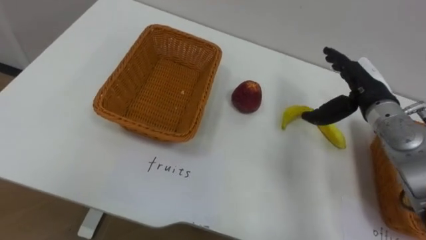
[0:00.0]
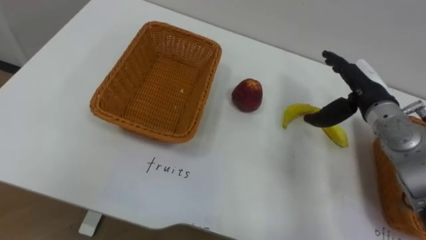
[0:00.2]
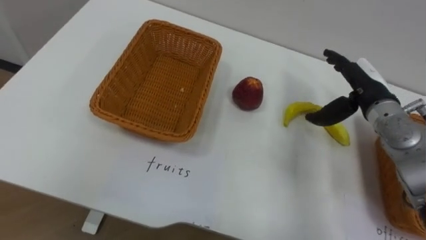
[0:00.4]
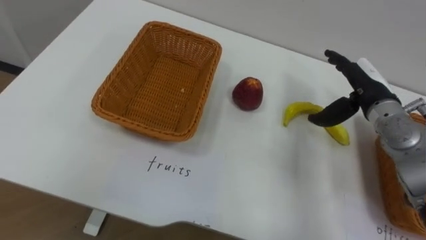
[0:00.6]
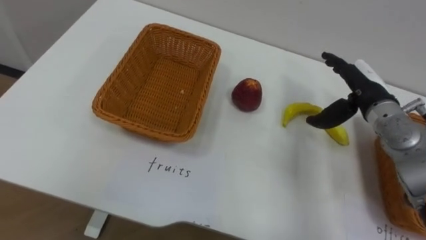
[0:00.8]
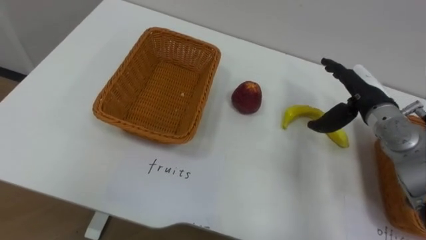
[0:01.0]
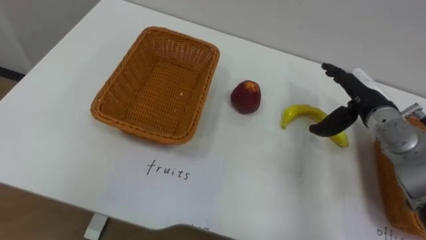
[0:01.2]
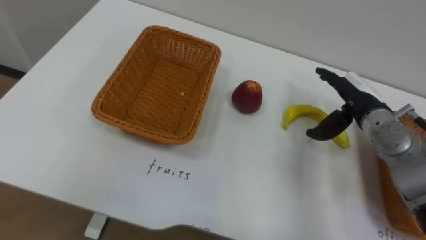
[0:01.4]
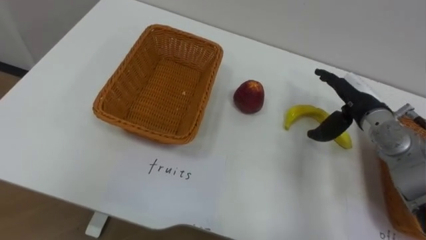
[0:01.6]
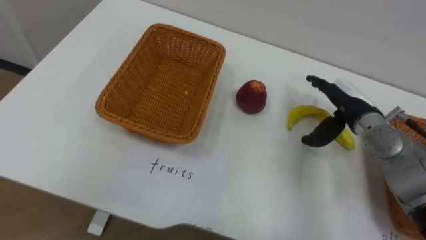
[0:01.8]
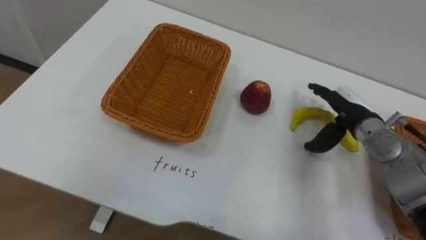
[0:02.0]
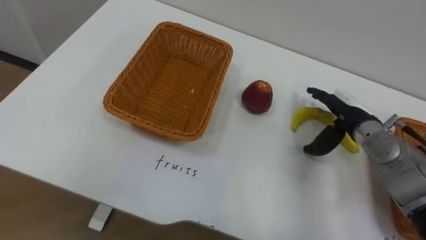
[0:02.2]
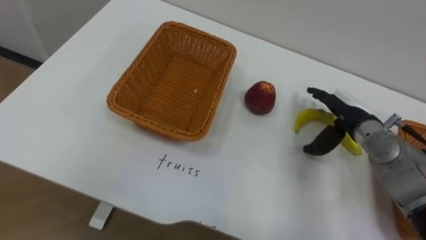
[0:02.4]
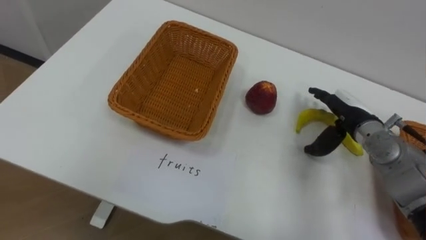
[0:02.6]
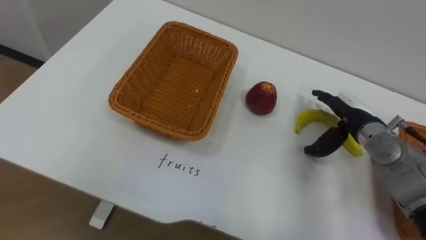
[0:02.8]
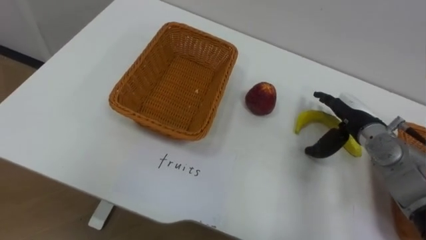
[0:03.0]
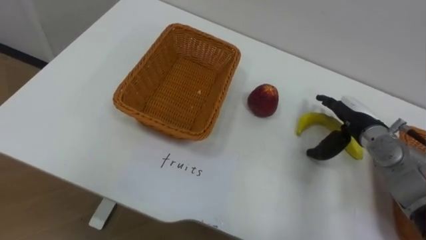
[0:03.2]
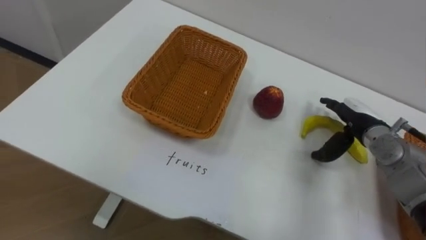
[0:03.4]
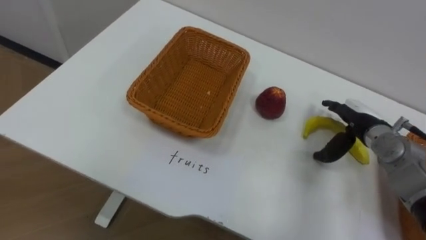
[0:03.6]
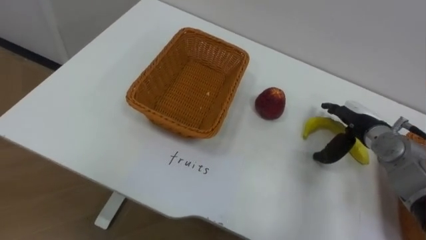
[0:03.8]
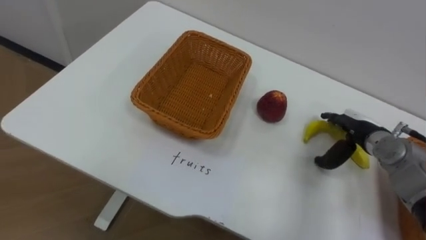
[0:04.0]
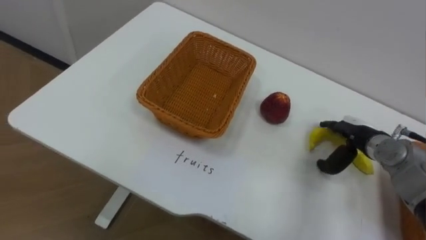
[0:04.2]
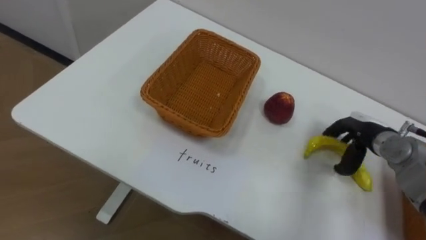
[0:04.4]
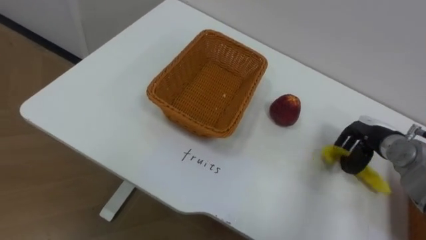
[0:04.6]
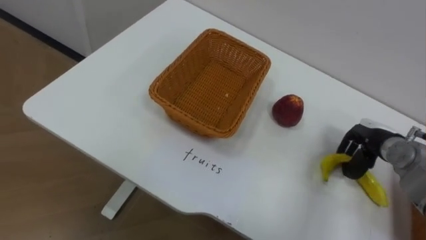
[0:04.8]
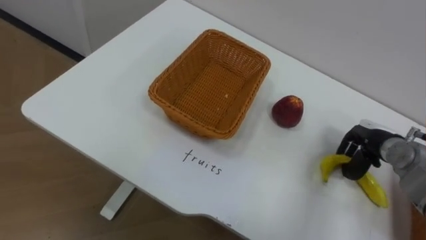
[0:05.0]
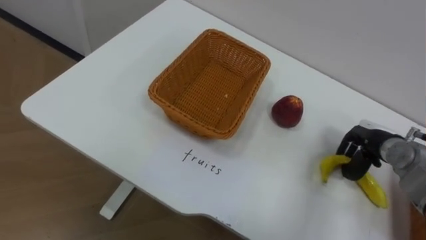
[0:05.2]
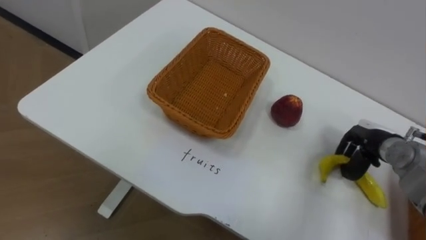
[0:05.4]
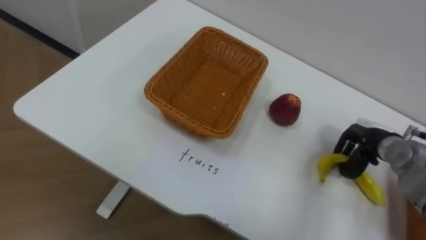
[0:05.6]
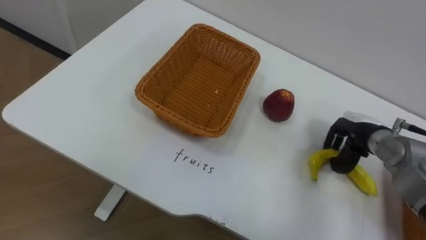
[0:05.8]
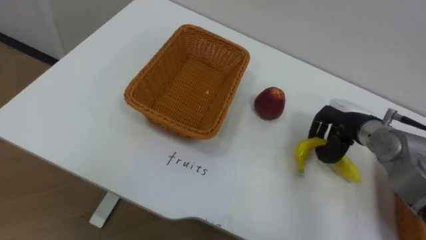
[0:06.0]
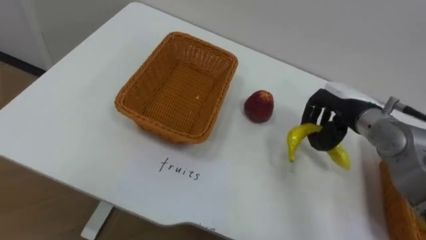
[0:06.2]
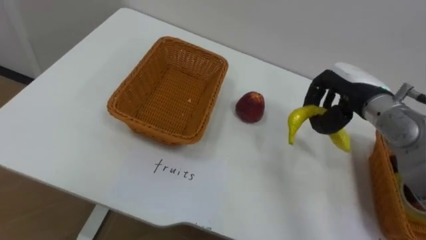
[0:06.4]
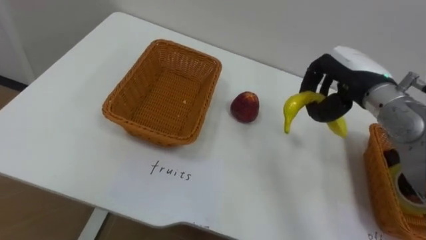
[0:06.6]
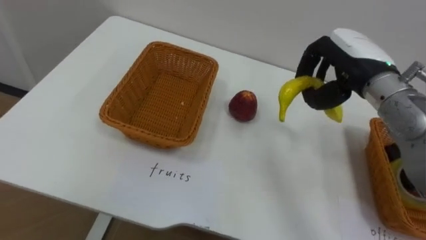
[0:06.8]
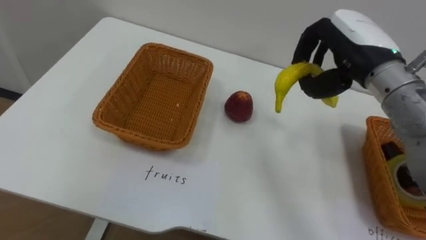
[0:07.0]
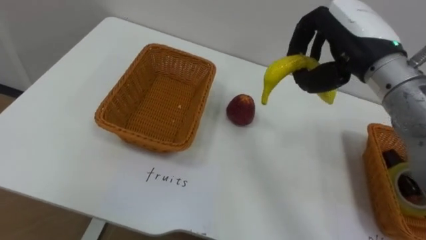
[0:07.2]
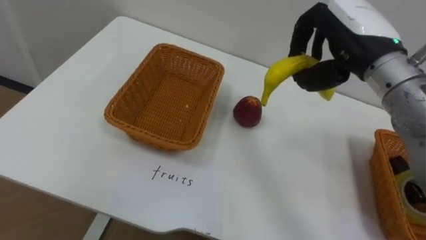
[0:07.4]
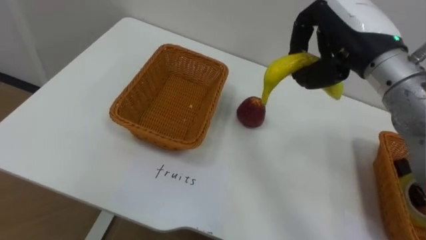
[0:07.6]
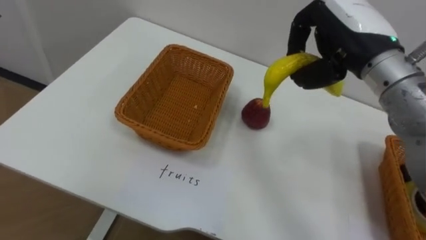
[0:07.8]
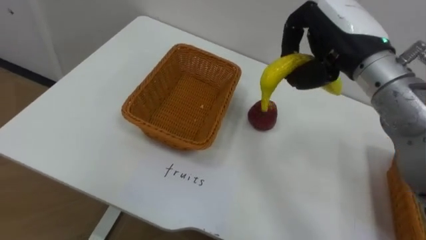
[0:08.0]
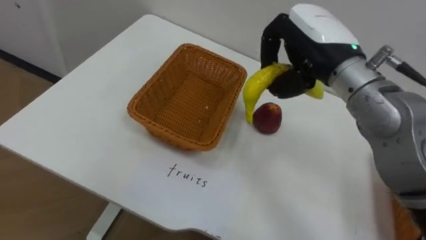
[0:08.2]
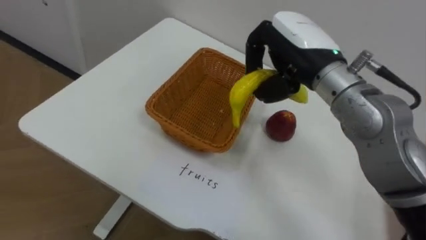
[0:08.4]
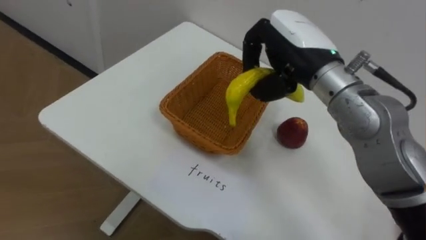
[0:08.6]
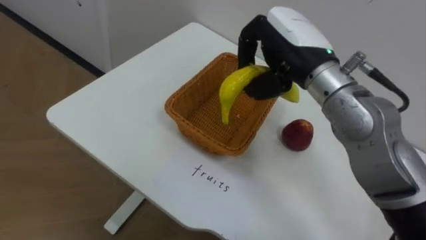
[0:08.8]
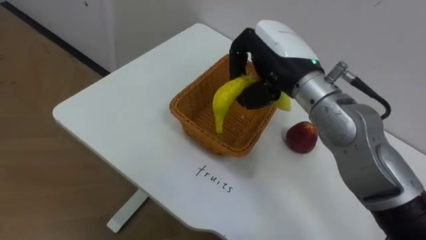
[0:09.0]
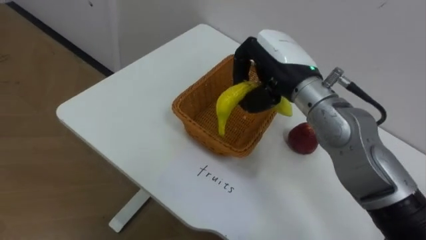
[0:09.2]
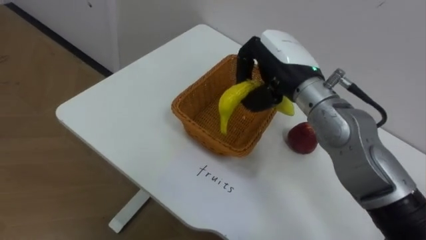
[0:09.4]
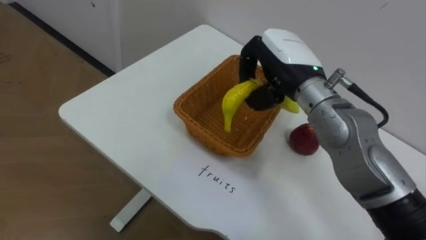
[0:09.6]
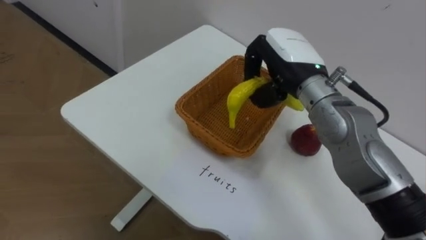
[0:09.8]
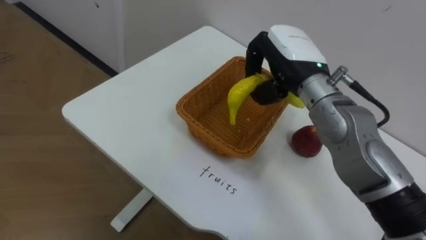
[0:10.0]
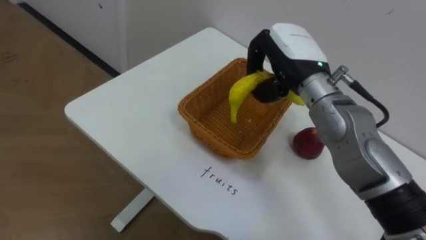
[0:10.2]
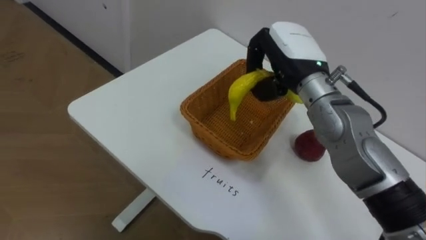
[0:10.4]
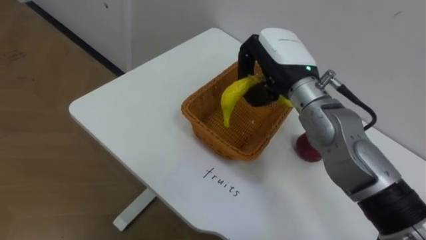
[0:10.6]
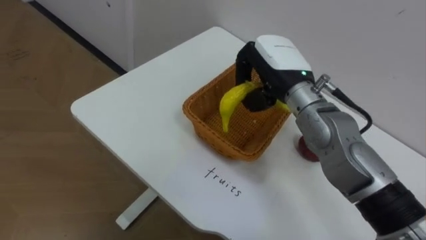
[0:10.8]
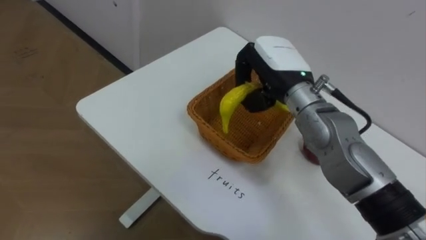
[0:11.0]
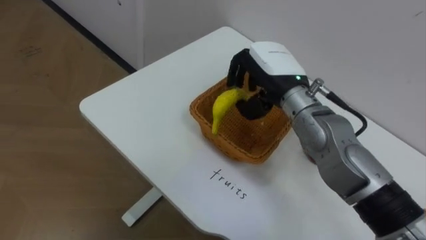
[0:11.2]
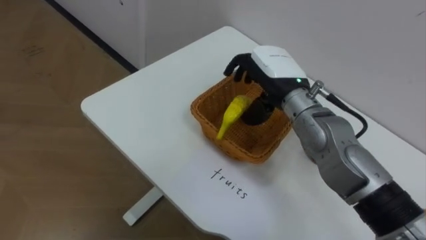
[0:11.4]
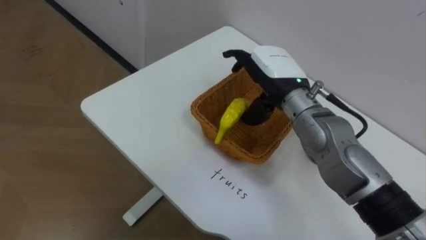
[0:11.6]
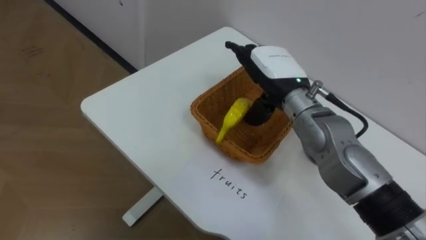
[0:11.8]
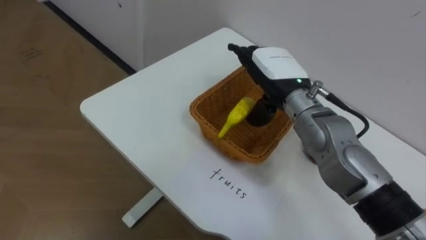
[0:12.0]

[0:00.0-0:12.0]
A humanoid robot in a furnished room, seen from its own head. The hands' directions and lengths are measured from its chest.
Task of the whole recording: Separate the items on the table and place them into the two baskets.
0:03.0 to 0:04.4: The right hand moves some 5 cm.
0:04.4 to 0:06.0: The right hand closes its fingers.
0:06.0 to 0:07.6: The right hand shifts some 20 cm upward.
0:07.6 to 0:09.0: The right hand shifts roughly 10 cm to the left.
0:10.4 to 0:12.0: The right hand opens its fingers.

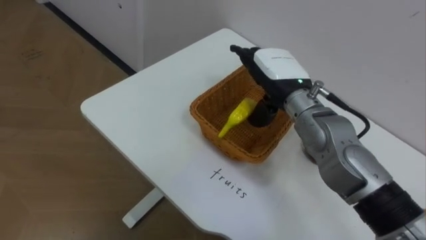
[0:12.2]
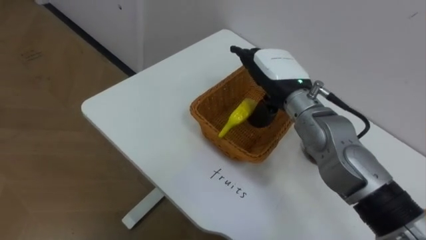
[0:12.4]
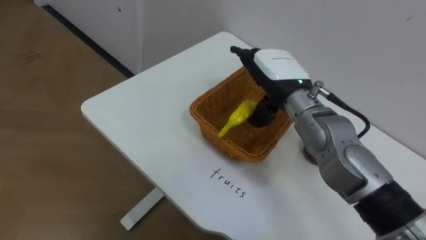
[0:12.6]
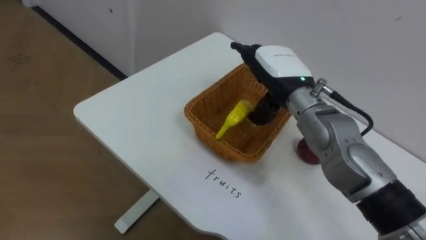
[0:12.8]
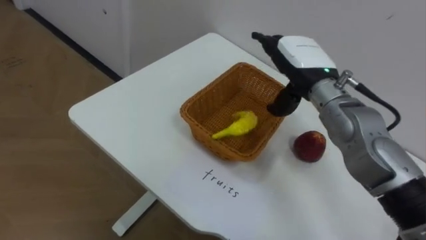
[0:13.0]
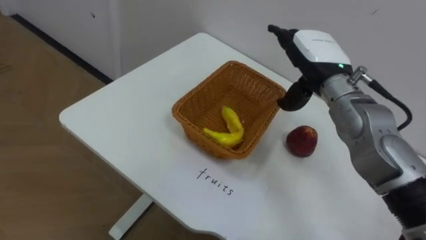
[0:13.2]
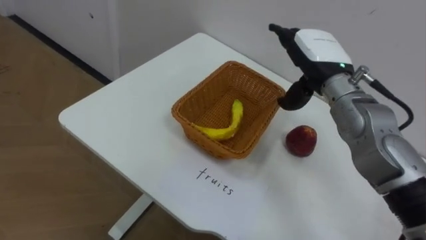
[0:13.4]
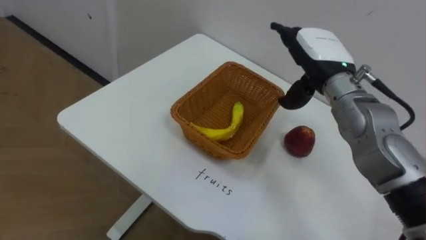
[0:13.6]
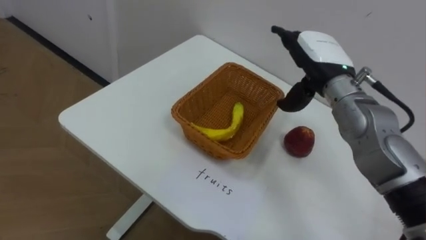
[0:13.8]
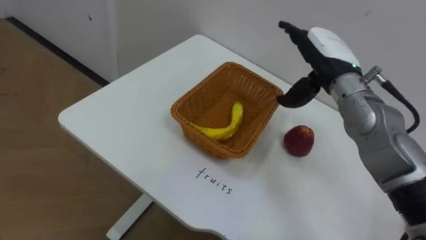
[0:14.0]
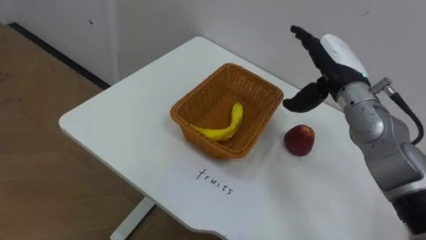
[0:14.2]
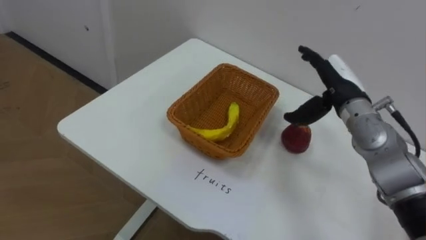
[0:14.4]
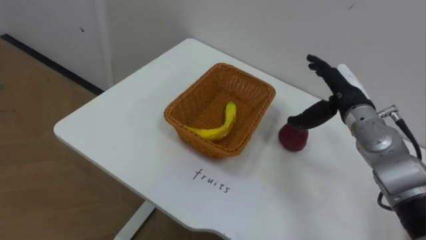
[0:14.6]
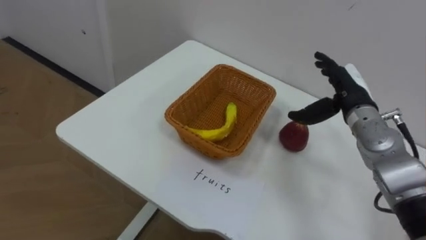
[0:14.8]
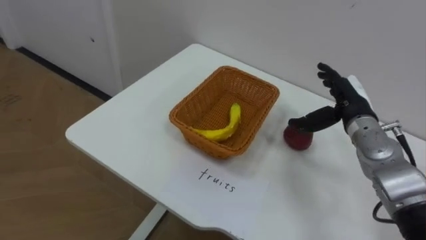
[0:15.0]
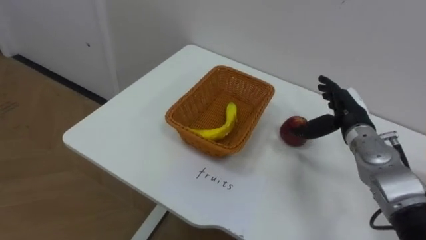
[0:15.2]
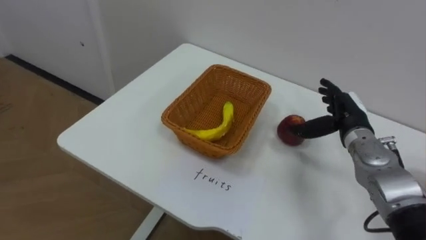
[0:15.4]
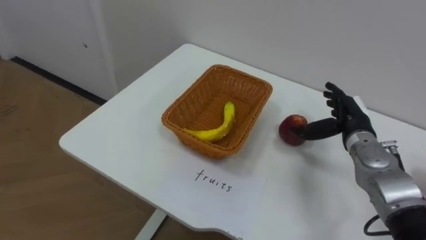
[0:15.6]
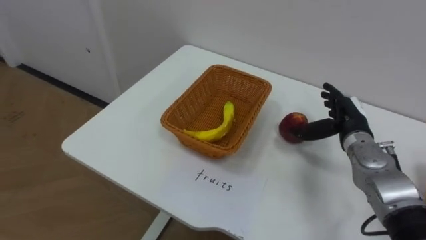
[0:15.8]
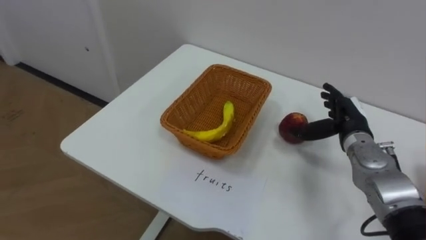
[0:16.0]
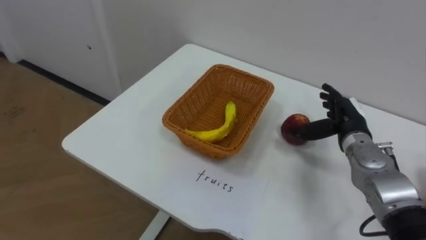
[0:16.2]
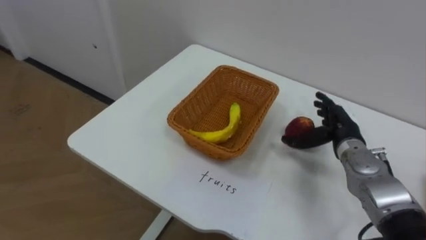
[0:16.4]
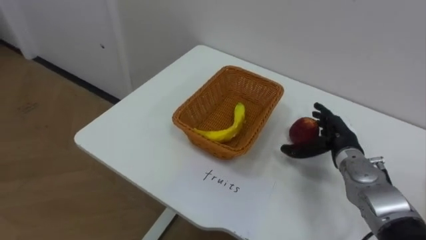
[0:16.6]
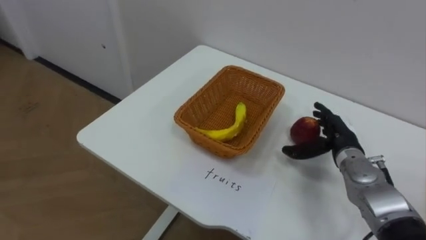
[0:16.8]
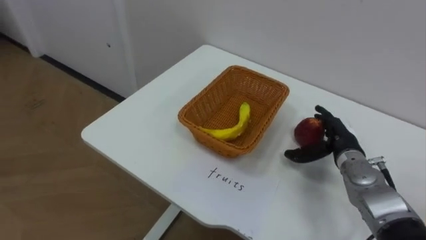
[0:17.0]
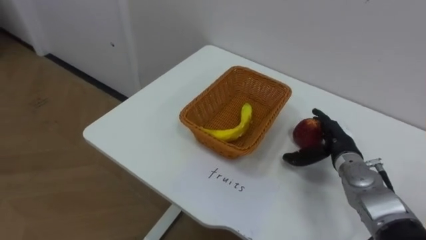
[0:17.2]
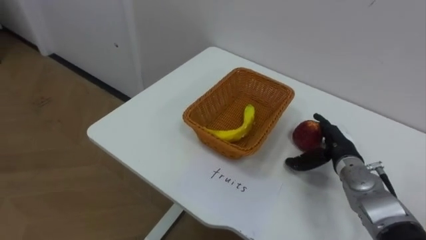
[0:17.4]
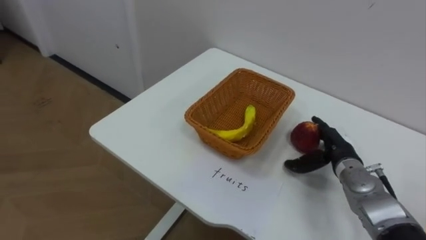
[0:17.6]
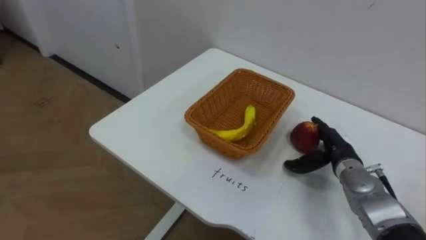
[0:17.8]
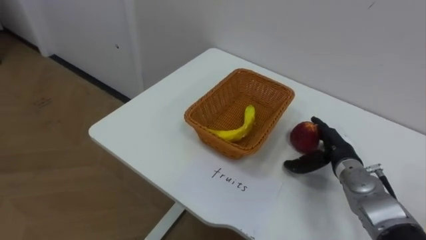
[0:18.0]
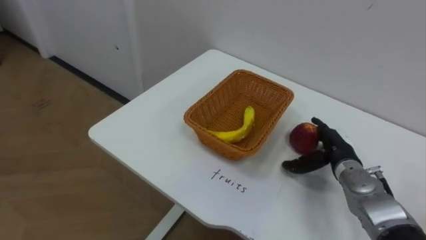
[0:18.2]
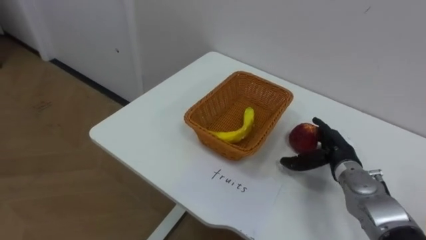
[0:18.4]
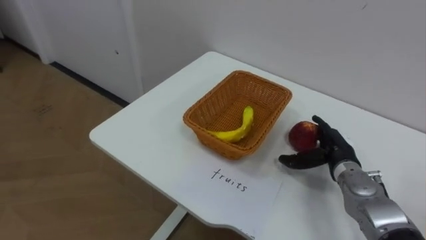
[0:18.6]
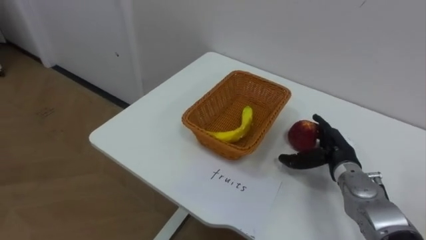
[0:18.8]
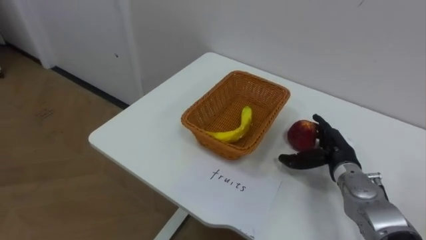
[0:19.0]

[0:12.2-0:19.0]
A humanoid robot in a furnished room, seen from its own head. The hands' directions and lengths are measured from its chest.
Task of the whole recording: Separate the items on the table and place them into the two baskets.
0:12.2 to 0:13.6: The right hand shifts some 5 cm to the right.
0:13.6 to 0:15.0: The right hand travels downward and to the right by some 10 cm.
0:16.2 to 0:17.6: The right hand goes approximately 5 cm downward.
